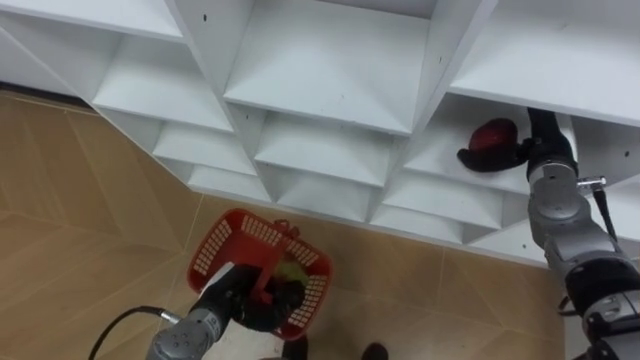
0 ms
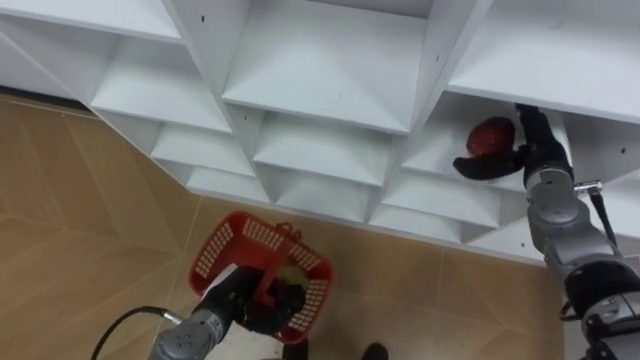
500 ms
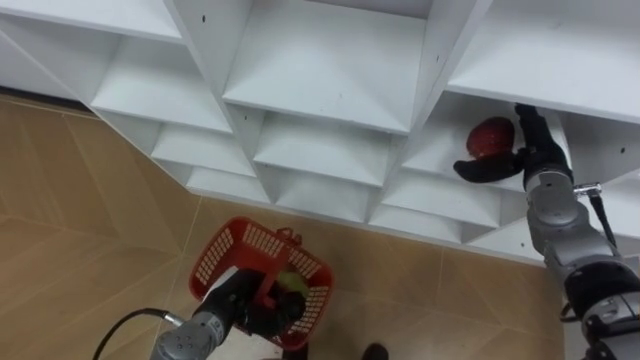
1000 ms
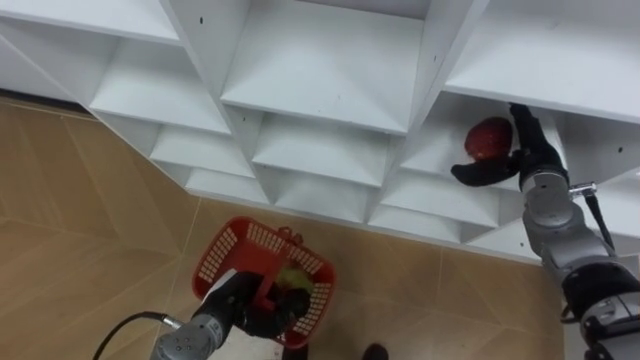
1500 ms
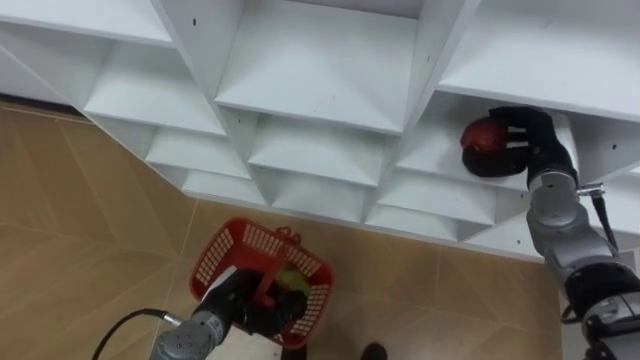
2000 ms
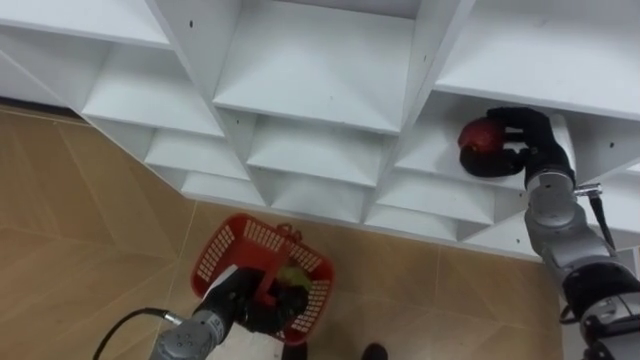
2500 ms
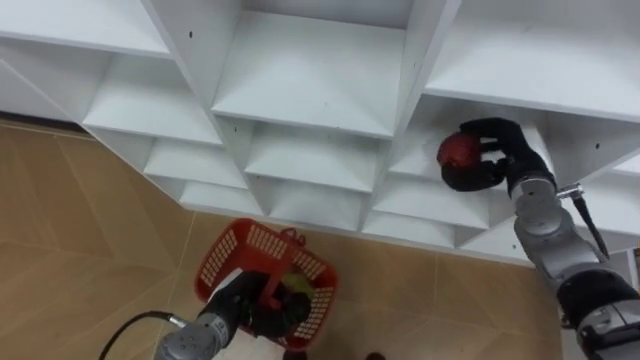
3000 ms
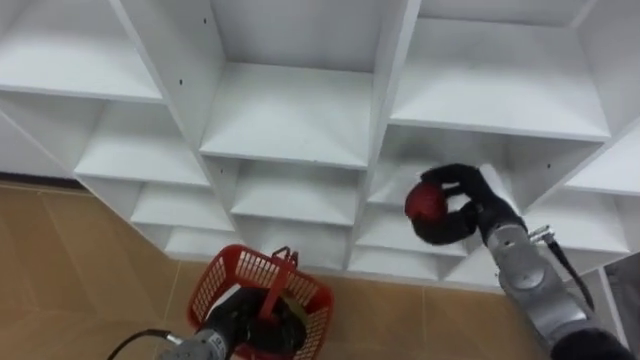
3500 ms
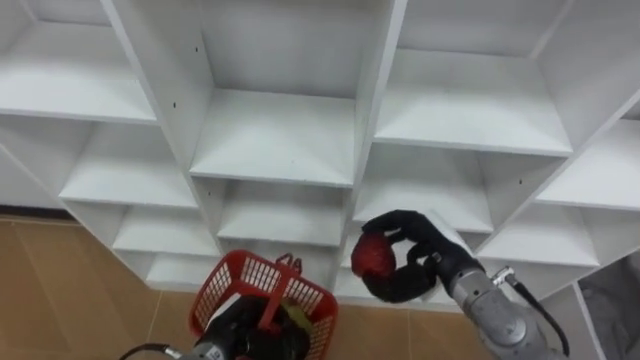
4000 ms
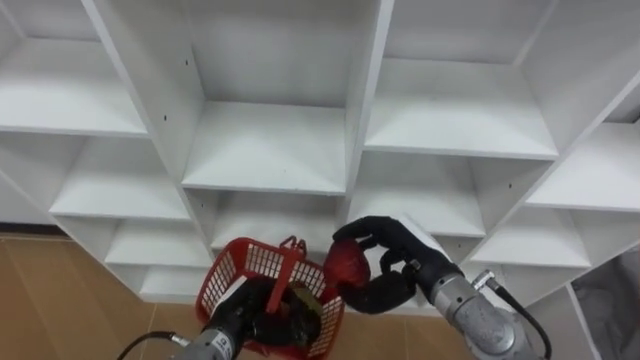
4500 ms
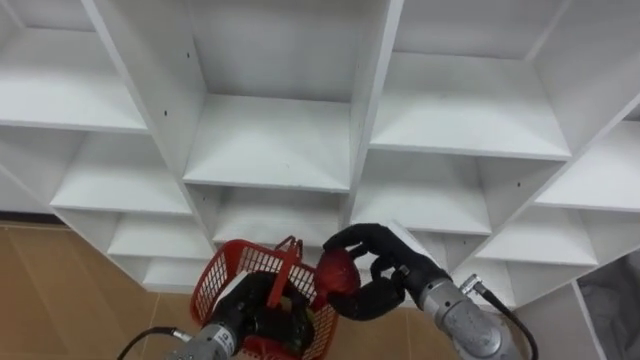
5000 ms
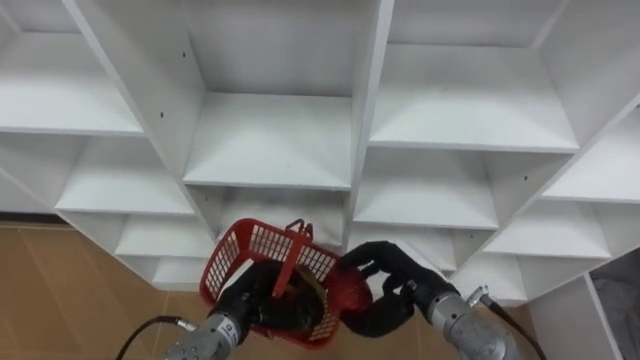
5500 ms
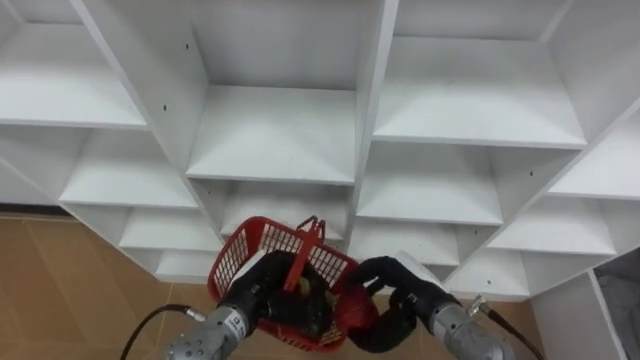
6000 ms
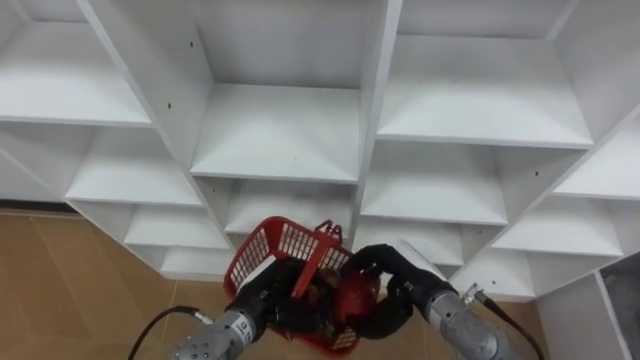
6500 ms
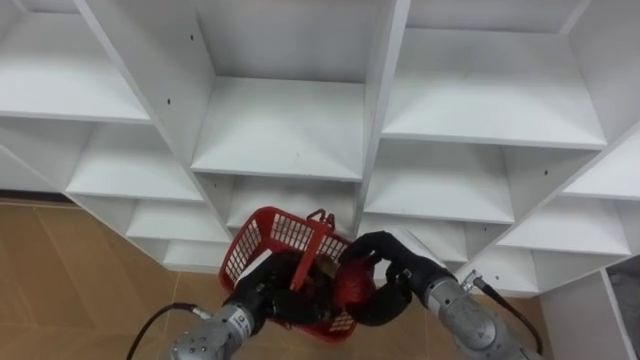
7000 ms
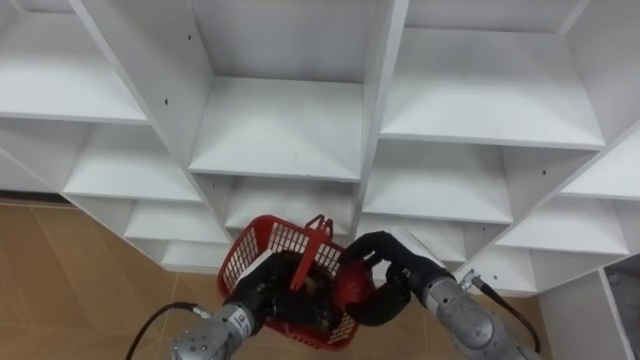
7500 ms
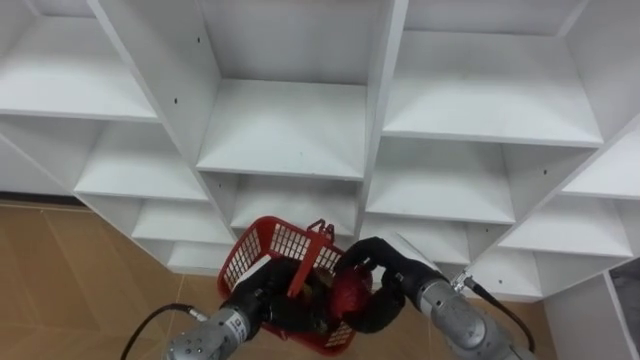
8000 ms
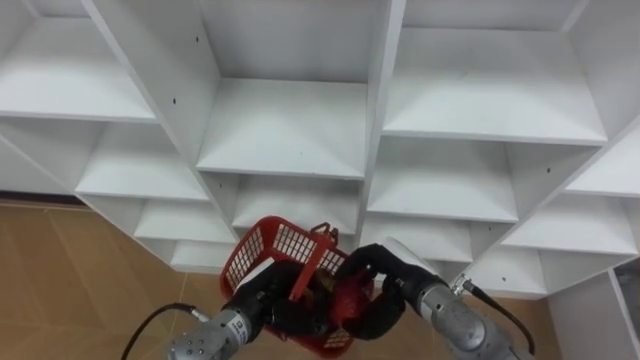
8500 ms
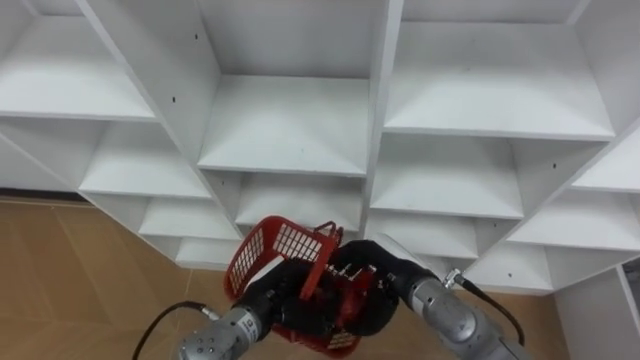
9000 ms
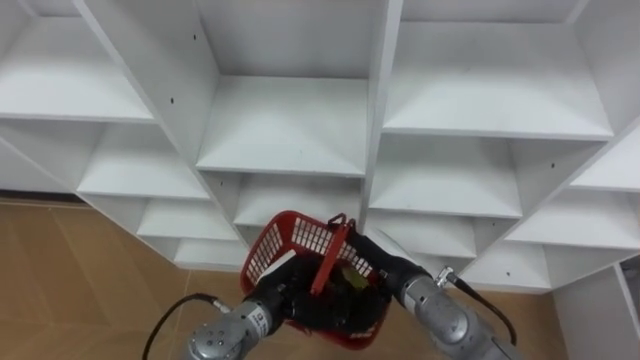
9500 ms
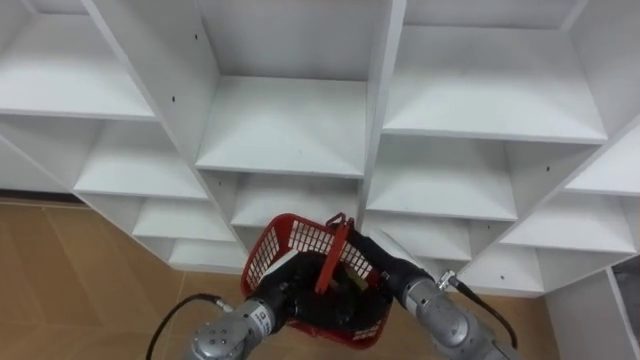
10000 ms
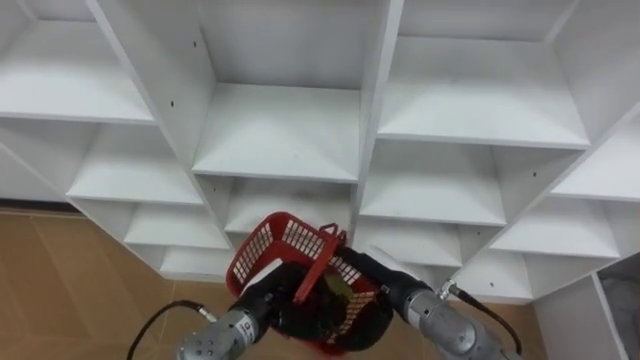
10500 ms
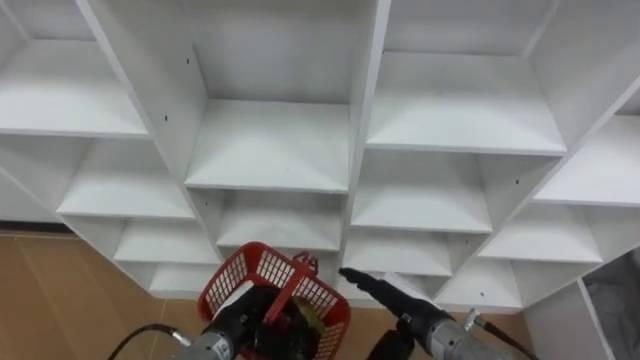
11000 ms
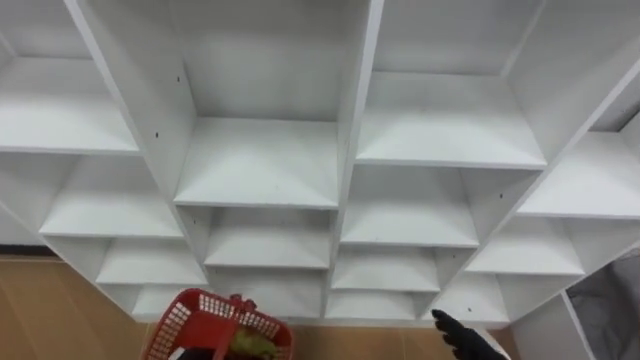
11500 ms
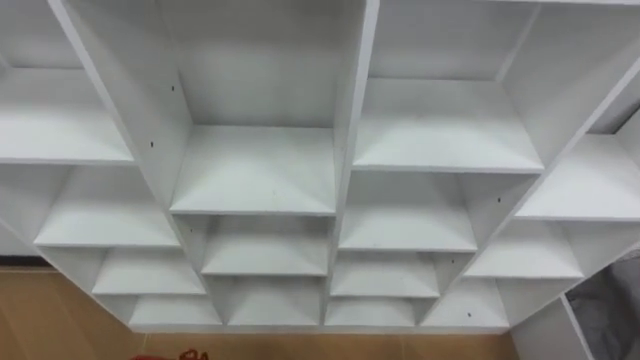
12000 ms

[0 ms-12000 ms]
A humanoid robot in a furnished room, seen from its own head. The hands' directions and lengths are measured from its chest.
Task of the whole recording: Hold the basket and collect the fruits from 3 different cells of the closet into it.
0 ms to 2000 ms: The right hand closes its fingers.
2000 ms to 4000 ms: The right hand heads to the left, backward and downward, covering approximately 20 cm.
4000 ms to 6000 ms: The right hand ends up roughly 5 cm from where it was. Meanwhile the left hand goes about 5 cm upward.
8000 ms to 10000 ms: The right hand opens.

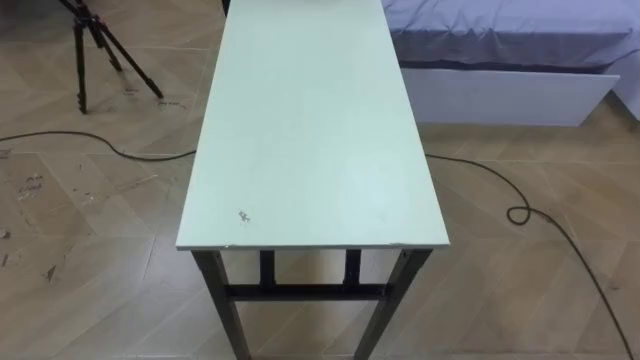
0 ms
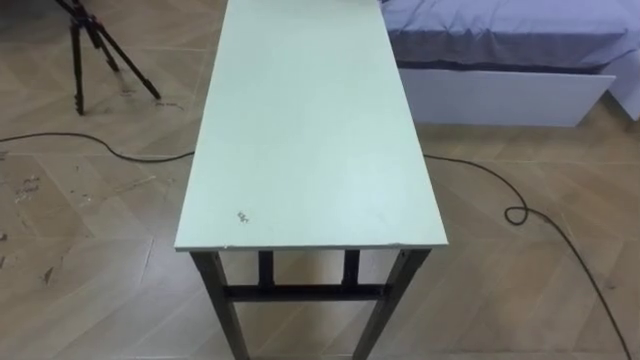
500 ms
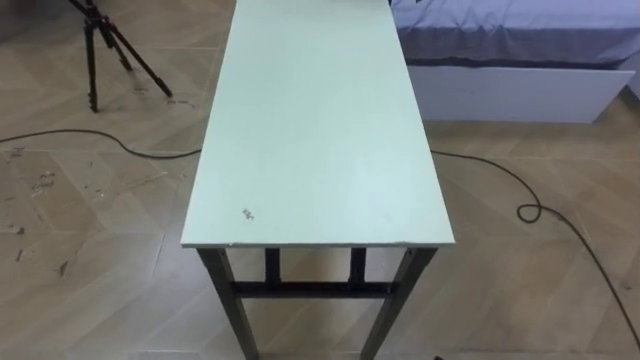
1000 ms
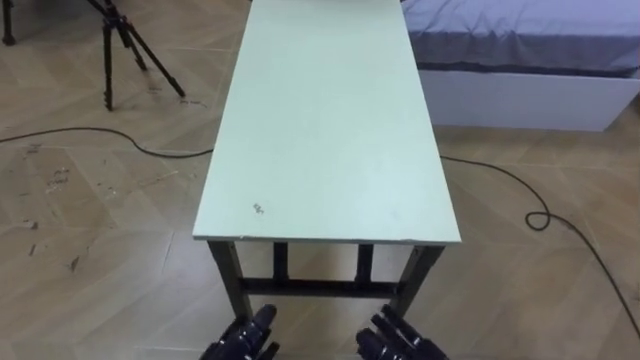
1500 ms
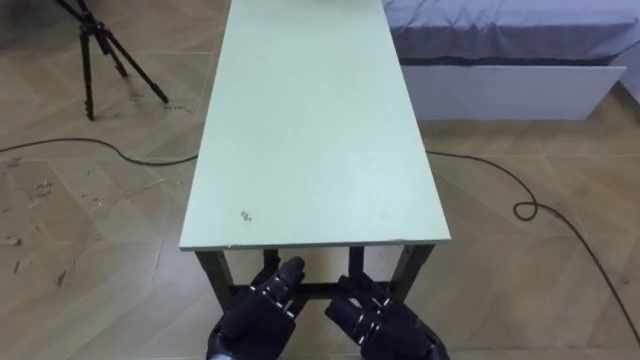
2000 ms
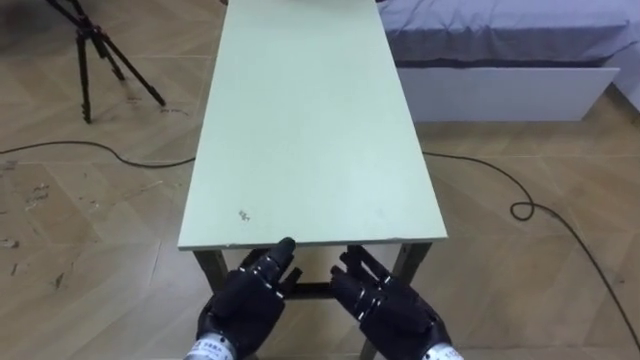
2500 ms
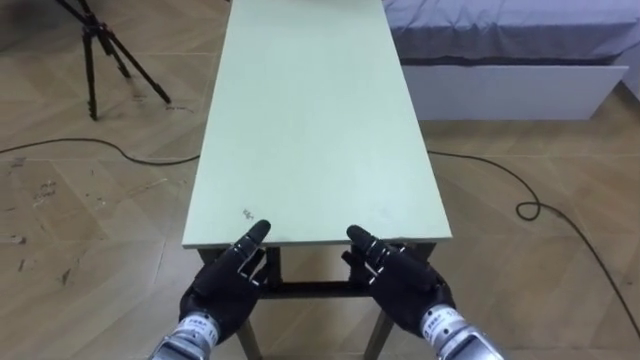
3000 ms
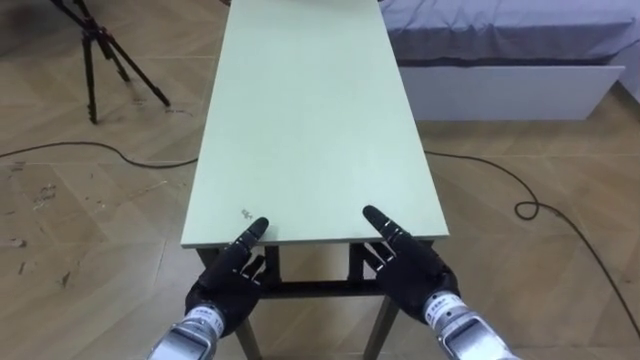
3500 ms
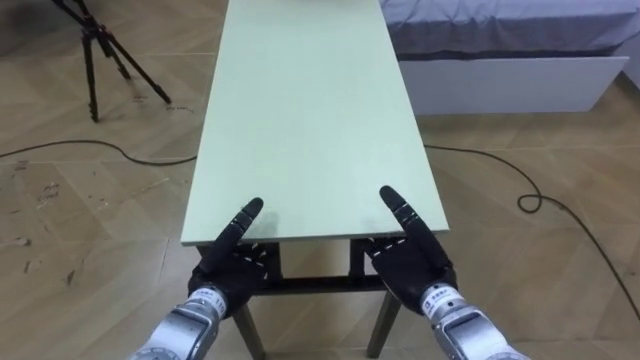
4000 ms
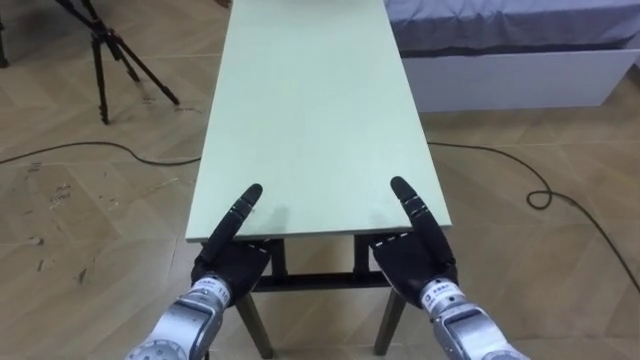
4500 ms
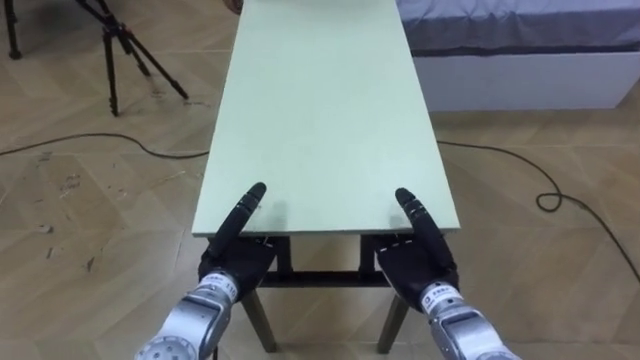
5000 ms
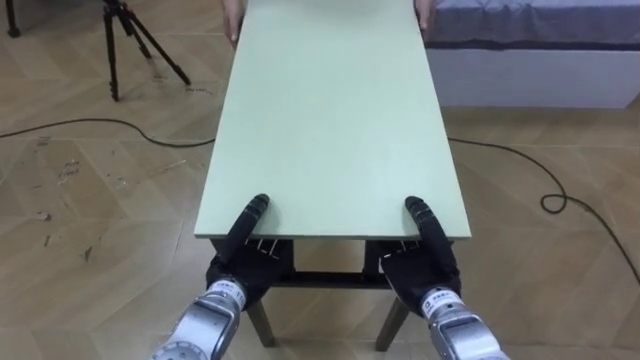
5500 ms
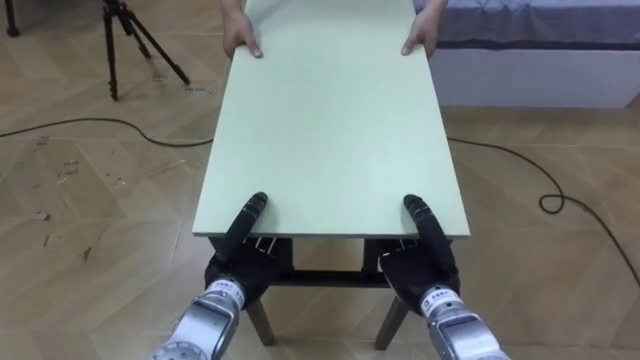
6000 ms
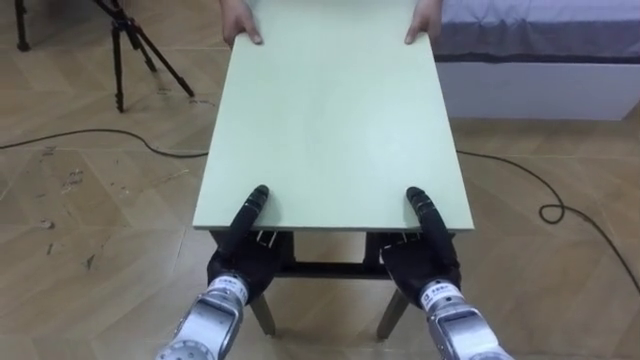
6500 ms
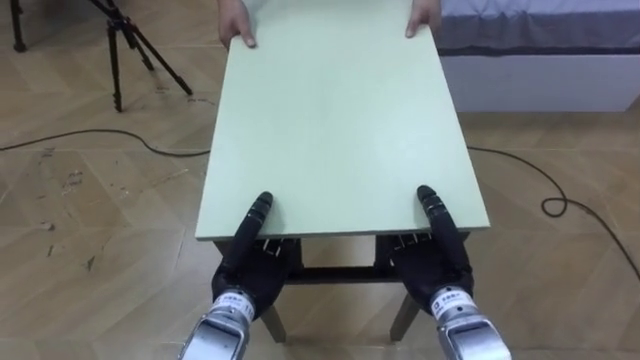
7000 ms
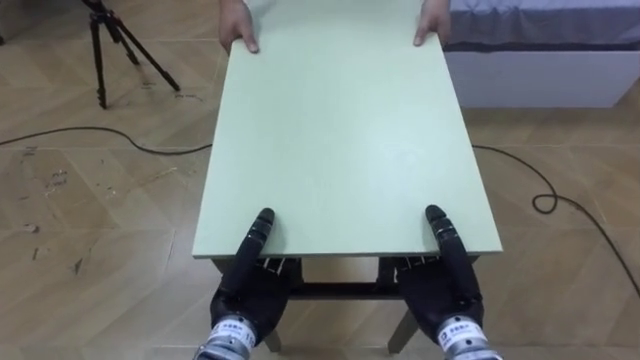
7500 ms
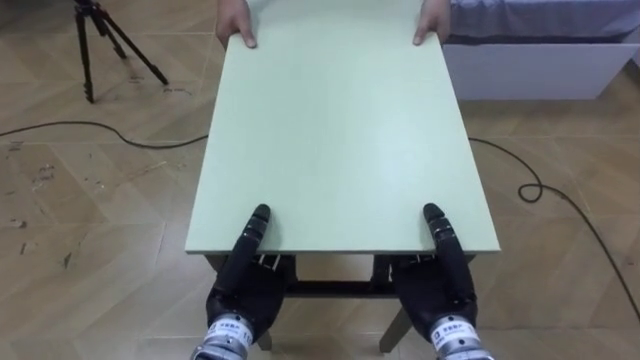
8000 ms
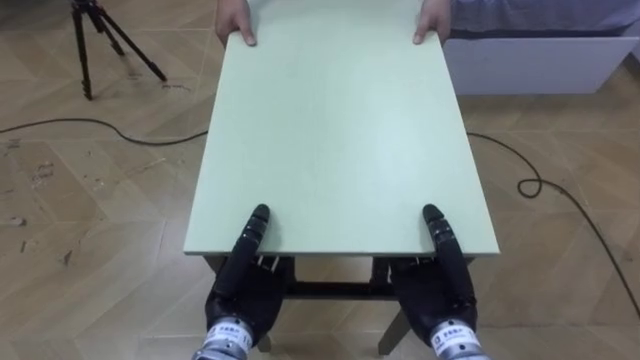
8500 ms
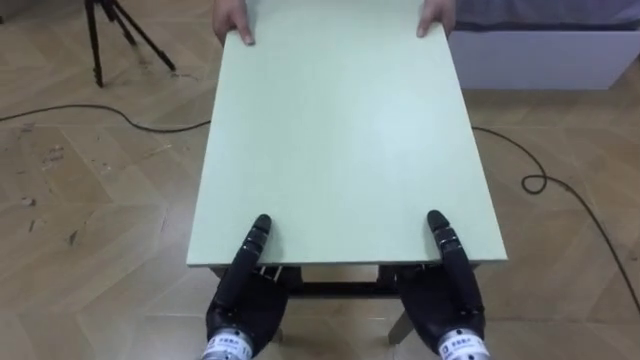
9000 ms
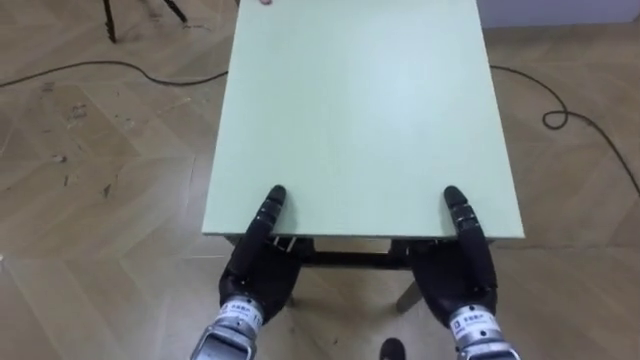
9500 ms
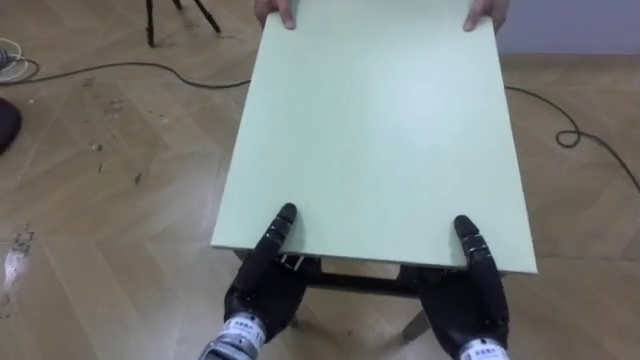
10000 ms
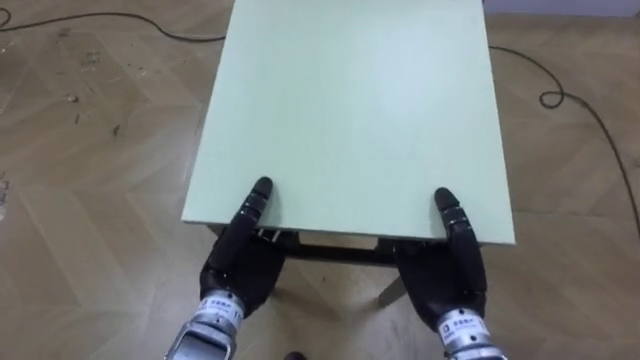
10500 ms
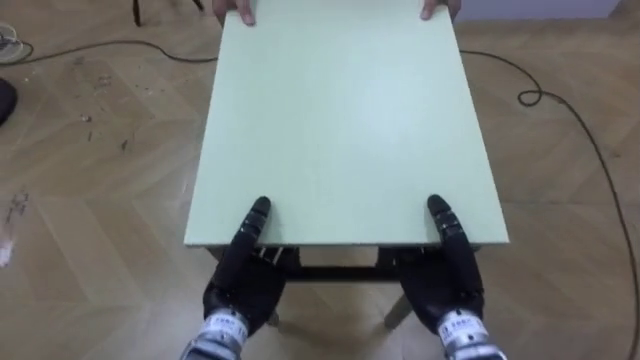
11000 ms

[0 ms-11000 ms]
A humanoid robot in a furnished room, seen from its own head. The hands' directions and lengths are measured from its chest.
Task of the whole recording: Move the table to the back left with someone.
2000 ms to 3500 ms: The right hand travels forward by roughly 10 cm. The left hand is displaced forward by about 5 cm.
3500 ms to 5500 ms: The left hand closes. Meanwhile the right hand closes its fingers.
5500 ms to 7500 ms: The hands make only small movements.
